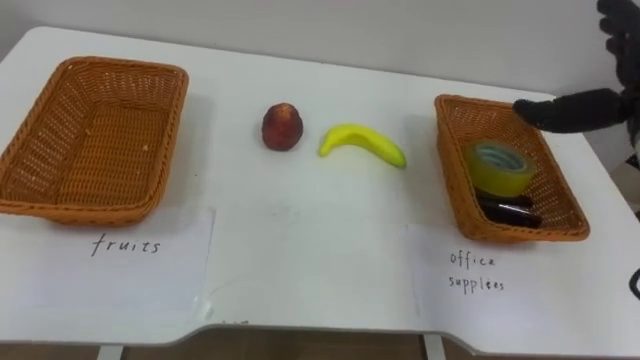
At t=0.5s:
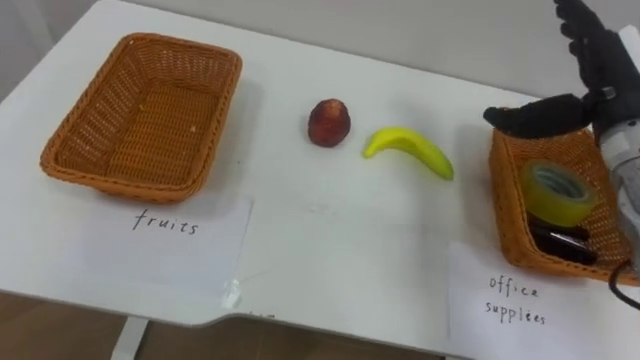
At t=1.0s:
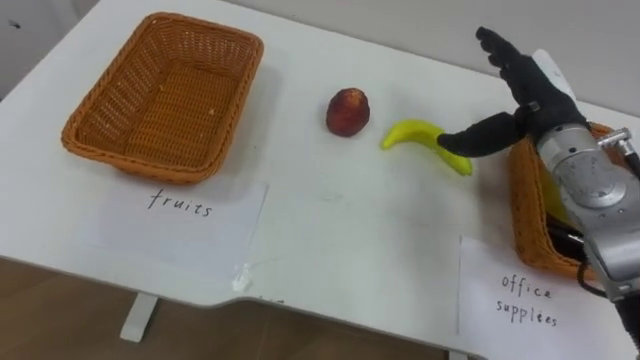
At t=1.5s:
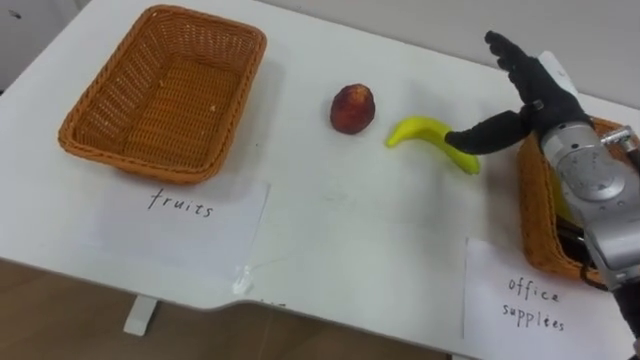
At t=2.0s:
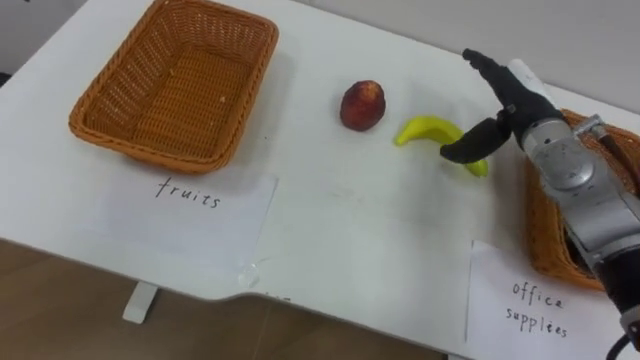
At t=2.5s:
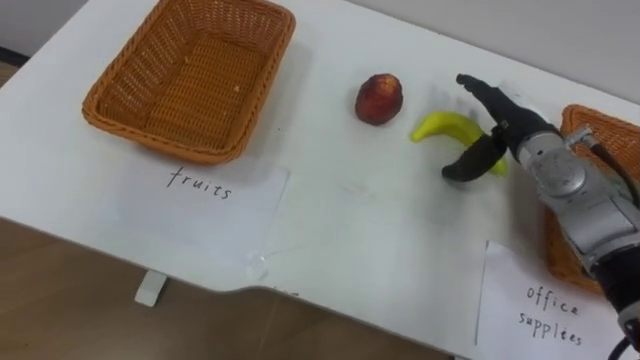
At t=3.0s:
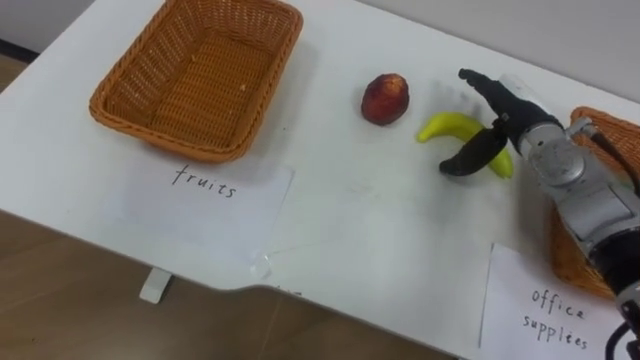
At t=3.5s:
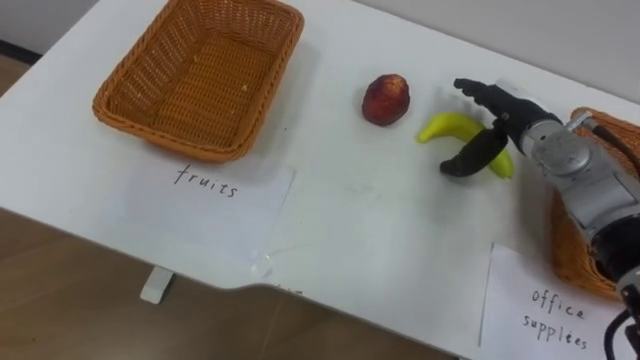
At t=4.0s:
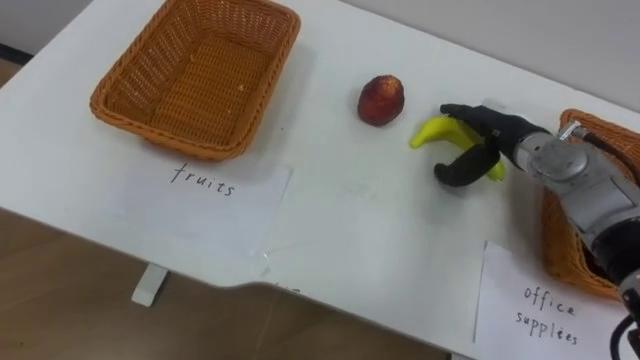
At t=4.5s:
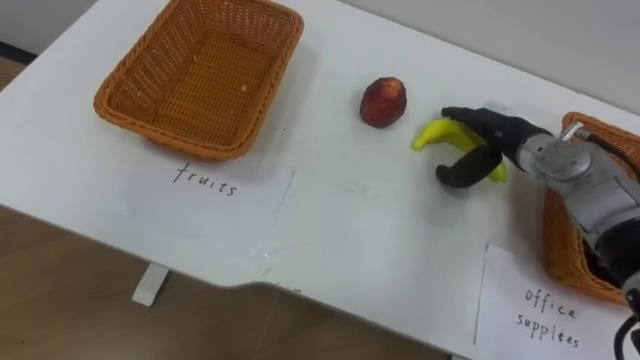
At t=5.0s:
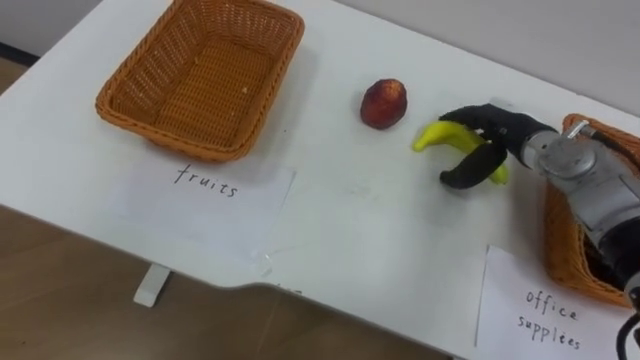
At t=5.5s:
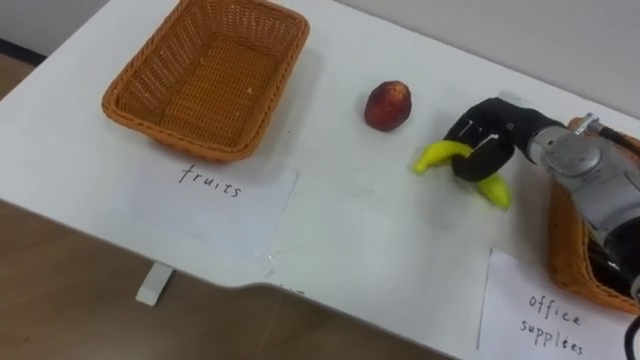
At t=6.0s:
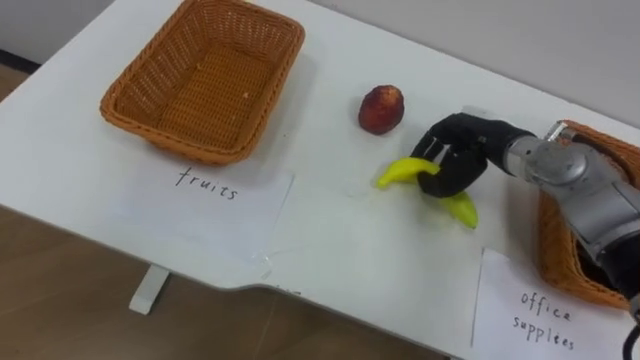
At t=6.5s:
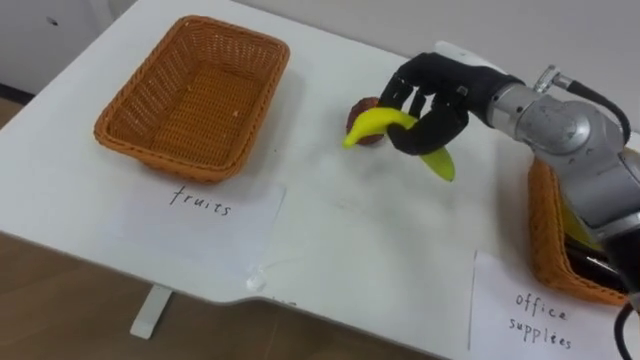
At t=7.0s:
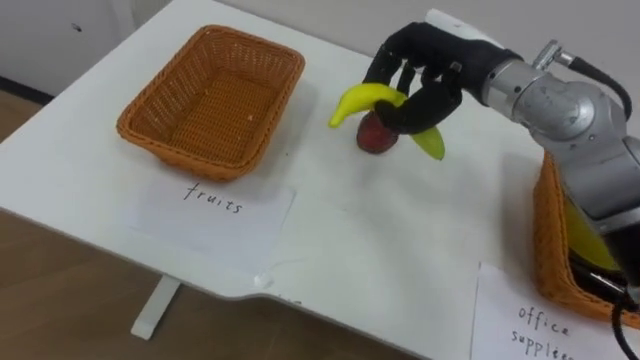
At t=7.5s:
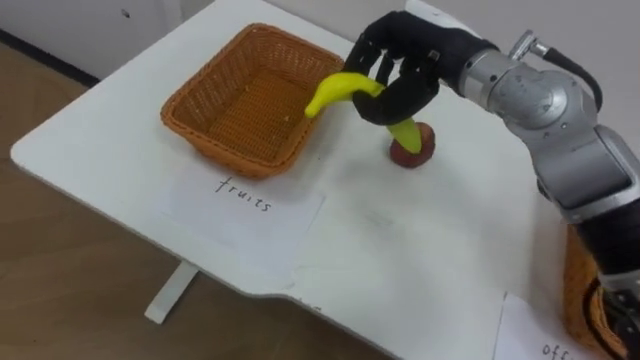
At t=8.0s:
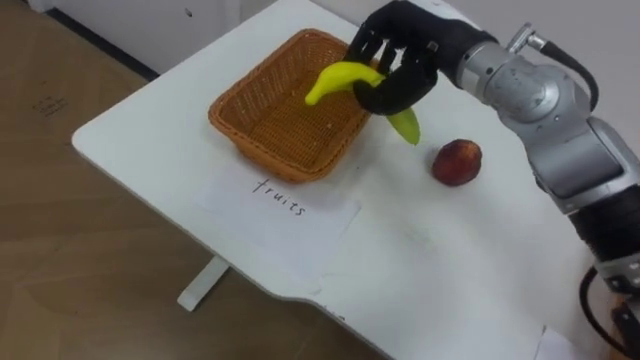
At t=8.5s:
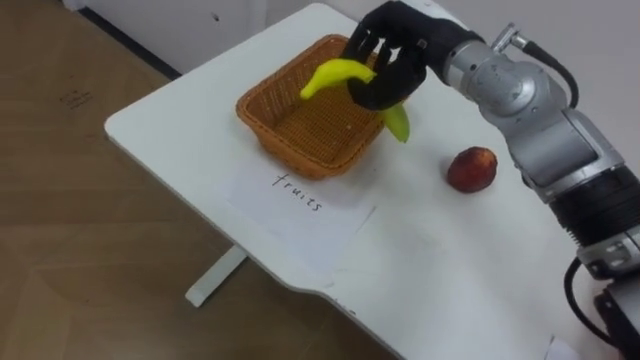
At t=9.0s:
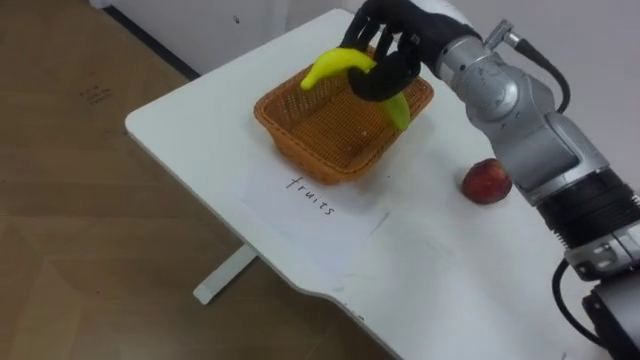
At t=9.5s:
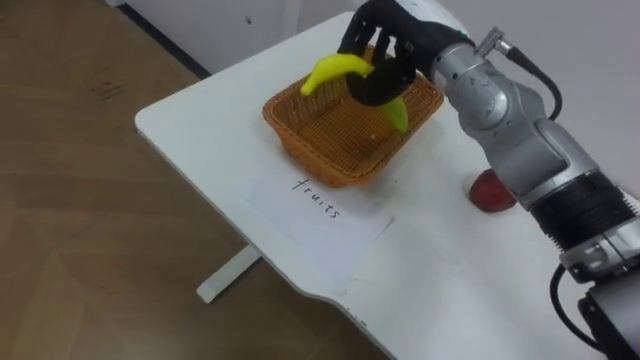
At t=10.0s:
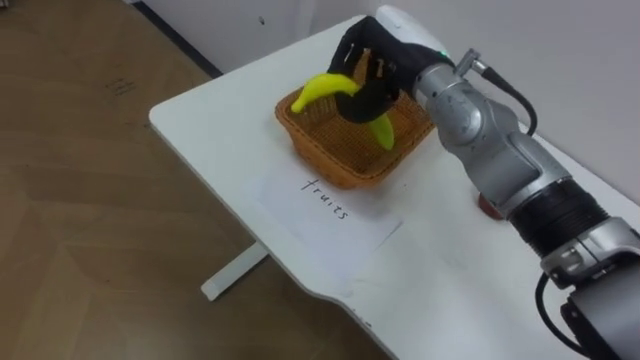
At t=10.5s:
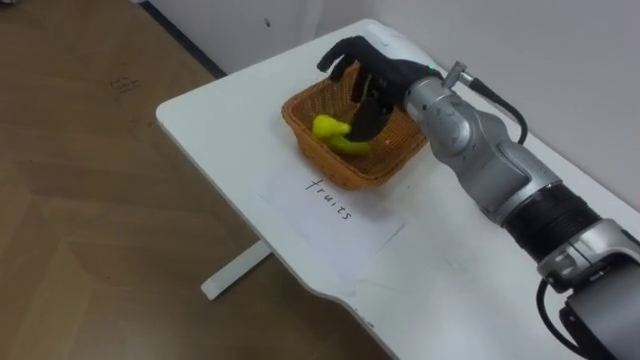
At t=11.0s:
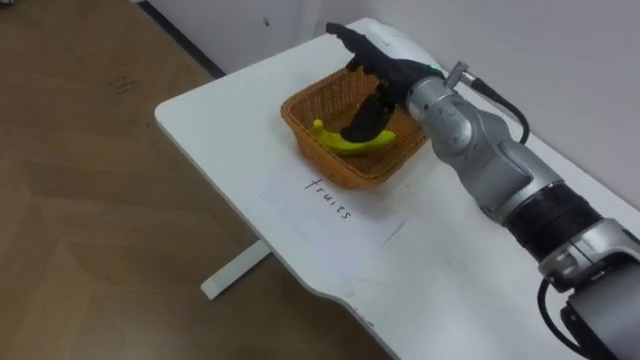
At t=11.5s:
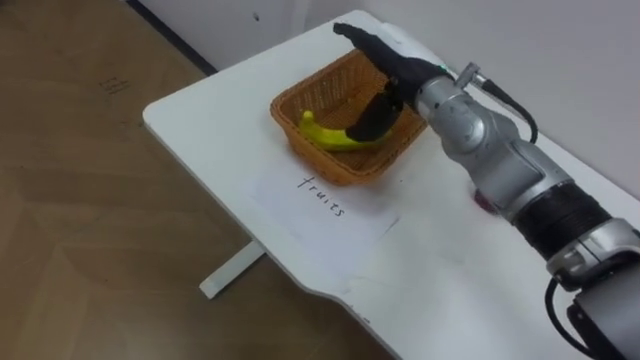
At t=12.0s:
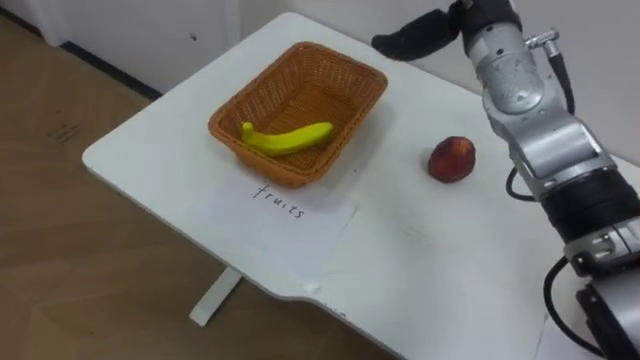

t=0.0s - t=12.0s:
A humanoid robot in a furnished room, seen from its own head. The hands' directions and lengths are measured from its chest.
Task of the whole recording: Separate the items on the table and place them into the two baskets.
t=0.0s - t=2.0s: The right hand moves to the left, downward and forward, roughly 15 cm.
t=2.0s - t=4.0s: The right hand heads downward, covering roughly 5 cm.
t=4.0s - t=6.0s: The right hand closes its fingers.
t=6.0s - t=8.0s: The right hand shifts approximately 15 cm upward and to the left.

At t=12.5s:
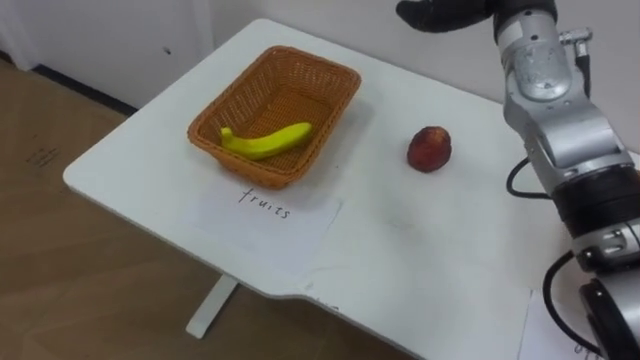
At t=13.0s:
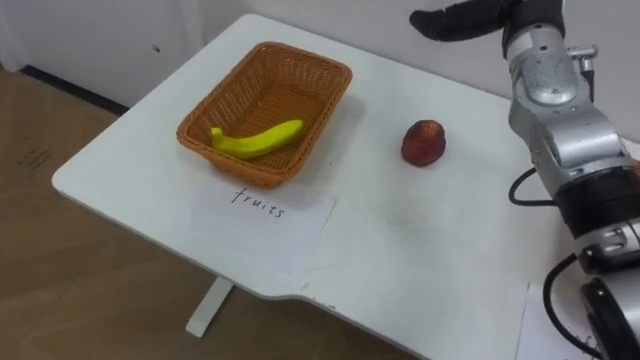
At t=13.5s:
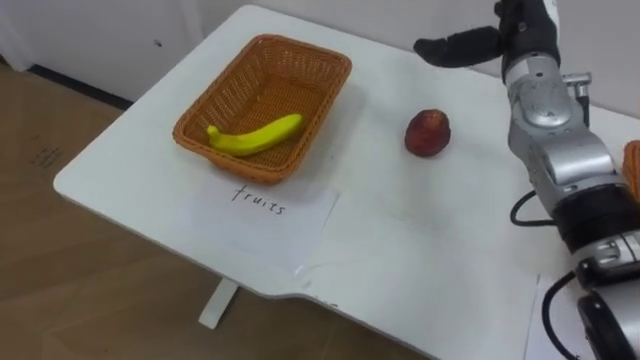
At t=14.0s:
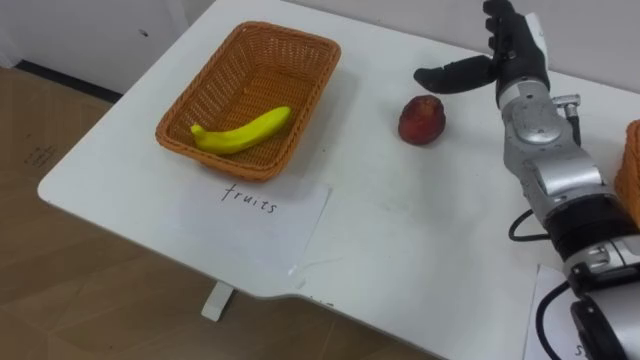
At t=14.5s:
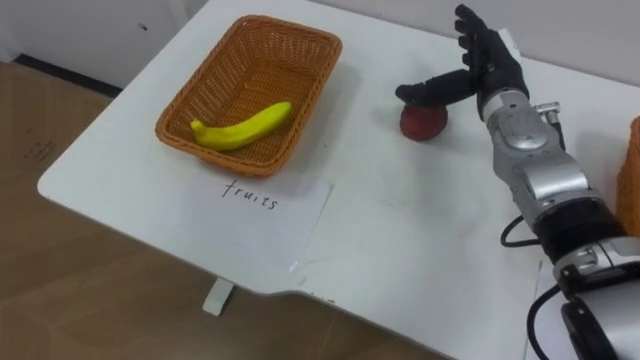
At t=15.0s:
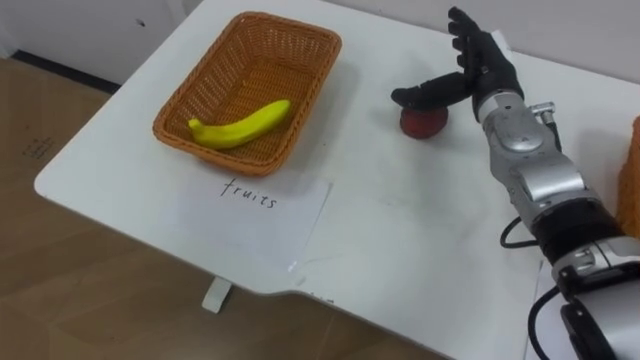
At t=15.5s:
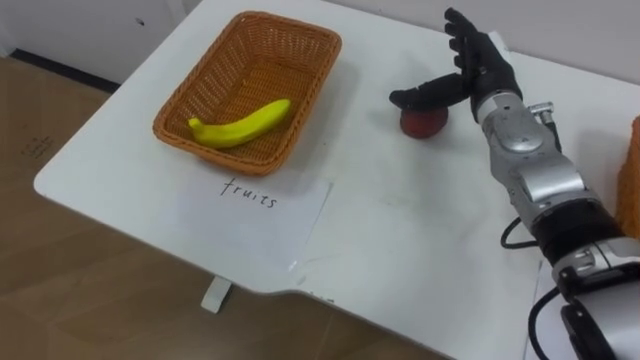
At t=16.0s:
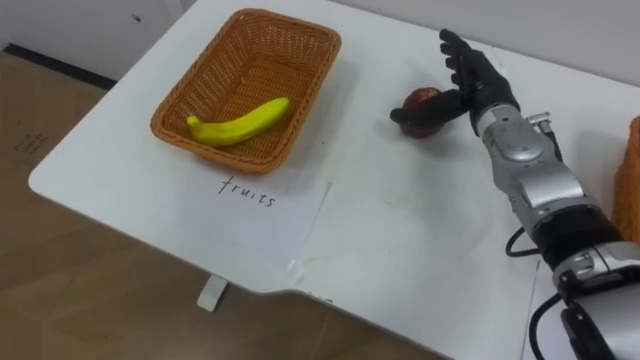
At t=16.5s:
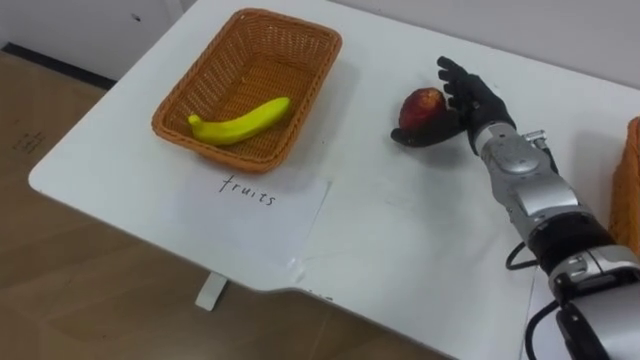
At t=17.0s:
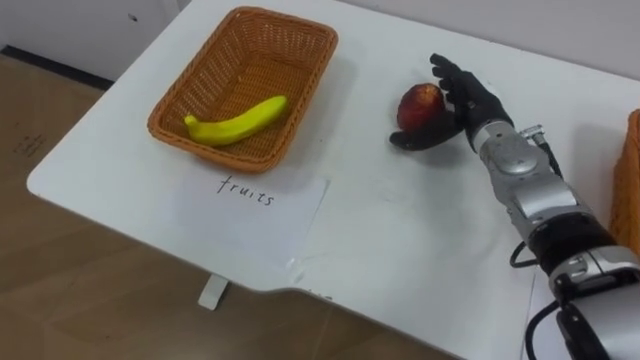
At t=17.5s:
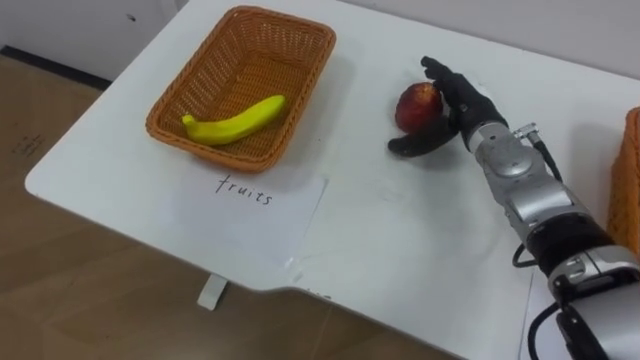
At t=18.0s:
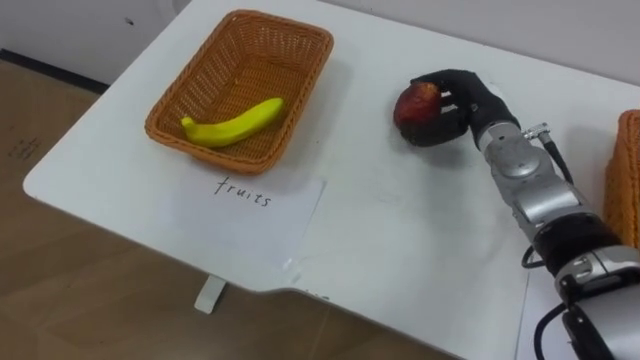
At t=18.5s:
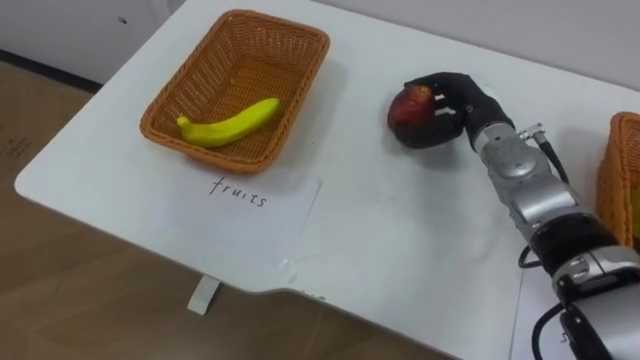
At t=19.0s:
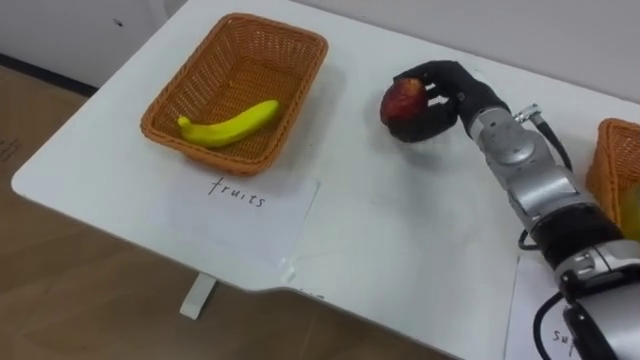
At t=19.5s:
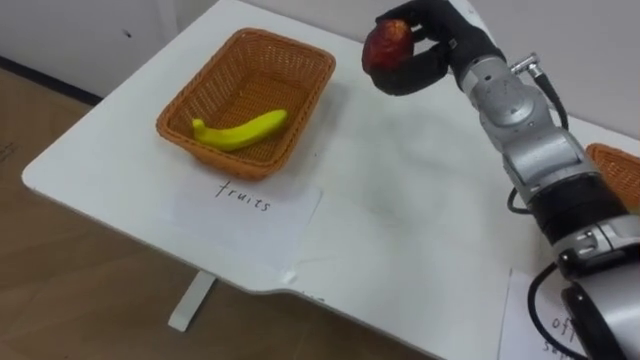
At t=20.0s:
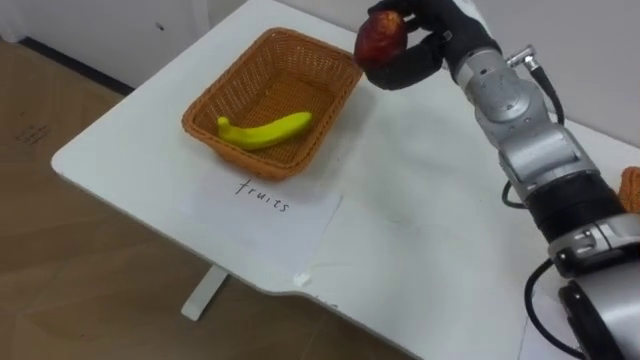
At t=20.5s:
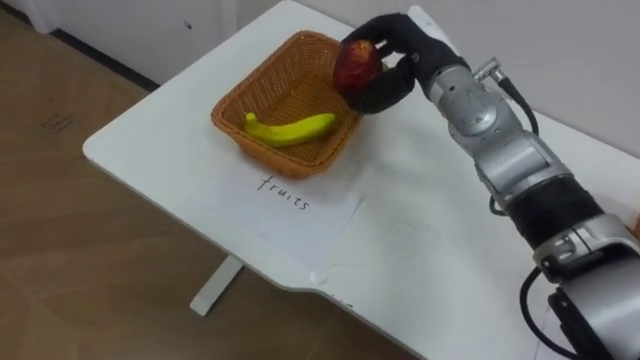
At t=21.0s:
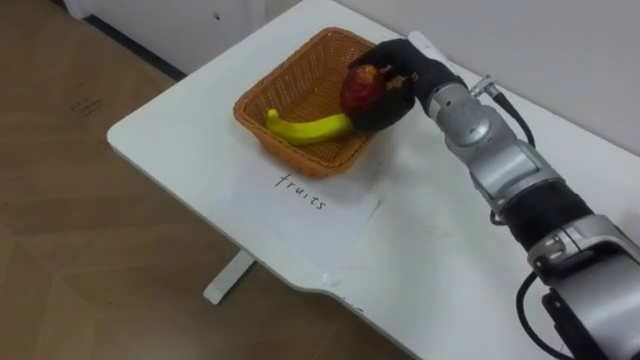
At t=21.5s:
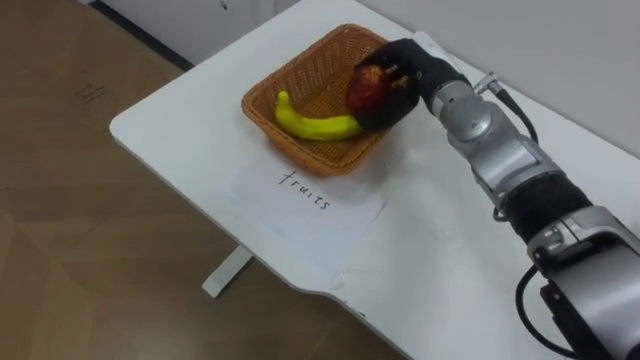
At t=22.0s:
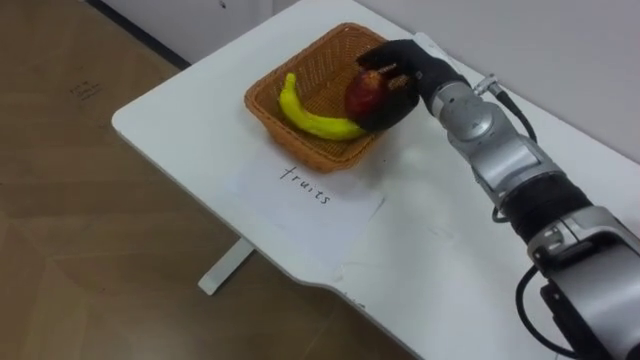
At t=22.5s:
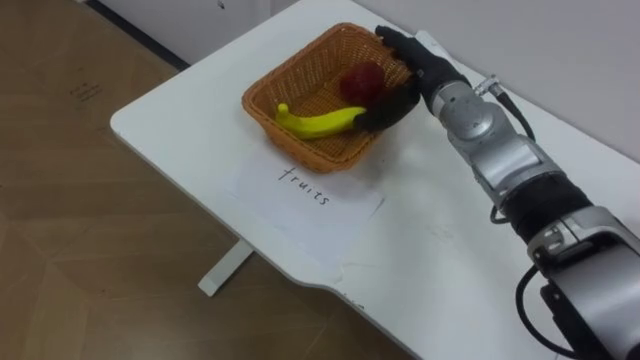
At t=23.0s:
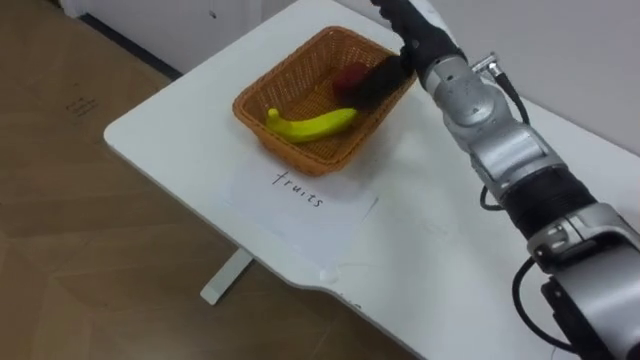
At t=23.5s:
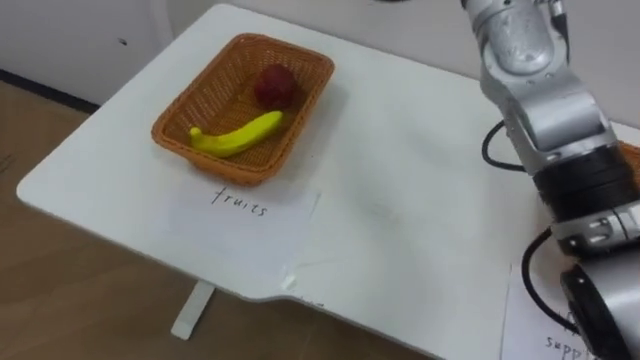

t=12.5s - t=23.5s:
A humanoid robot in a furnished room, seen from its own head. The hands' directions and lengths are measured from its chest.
Task of the whole recording: Separate the items on the table and place them into the two baskets.
t=16.0s - t=18.0s: The right hand closes.
t=18.0s - t=20.0s: The right hand travels upward and to the left by about 10 cm.
t=20.0s - t=21.5s: The right hand shifts some 5 cm downward.
